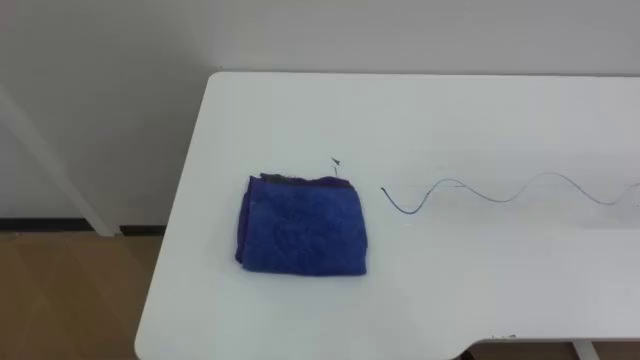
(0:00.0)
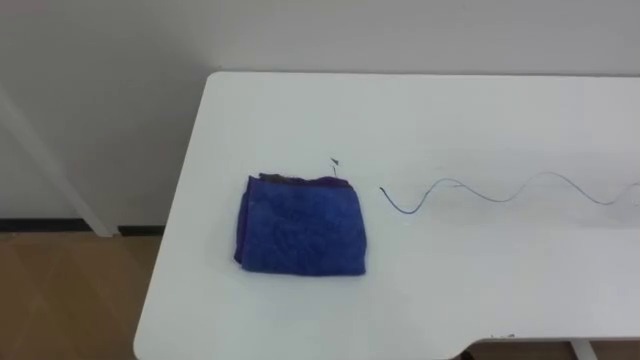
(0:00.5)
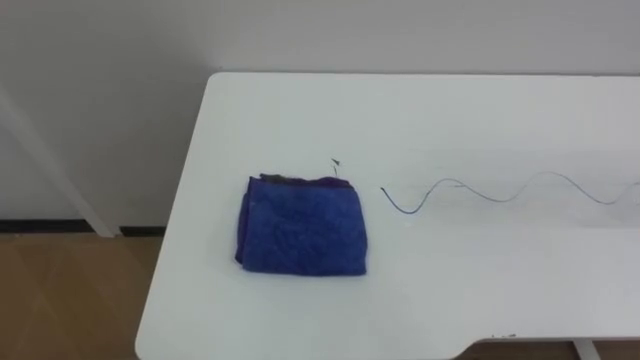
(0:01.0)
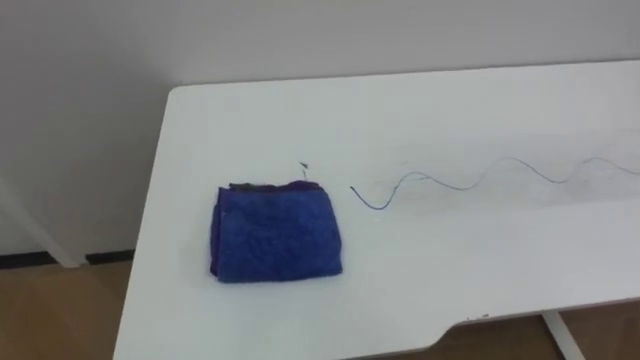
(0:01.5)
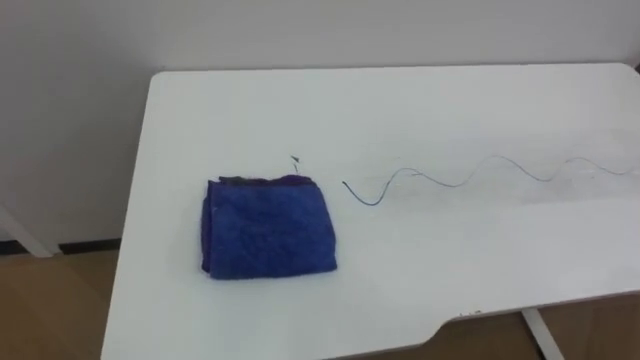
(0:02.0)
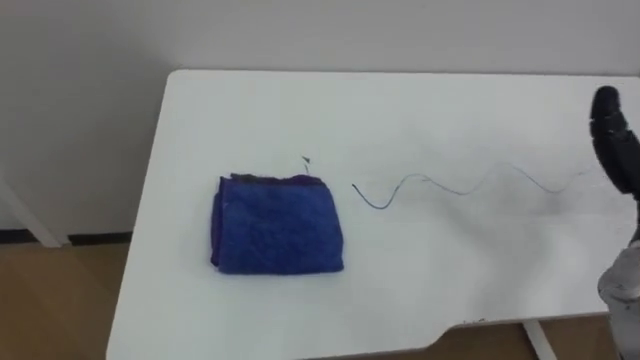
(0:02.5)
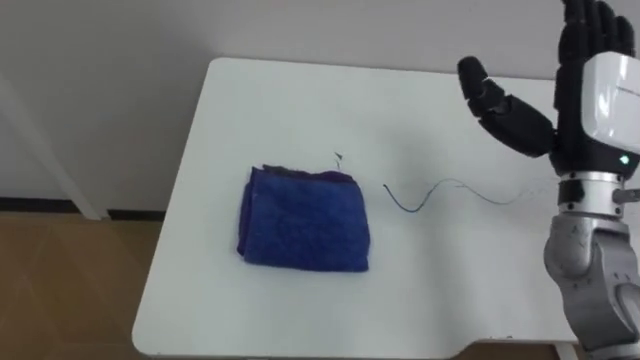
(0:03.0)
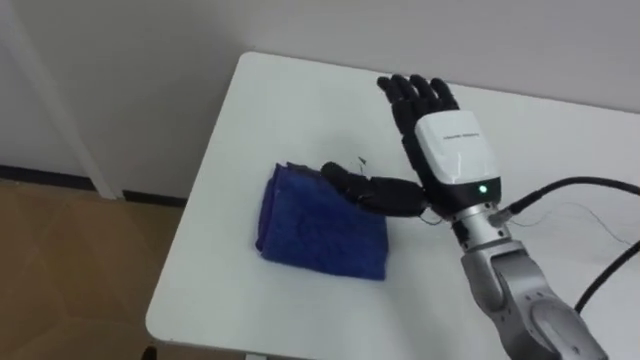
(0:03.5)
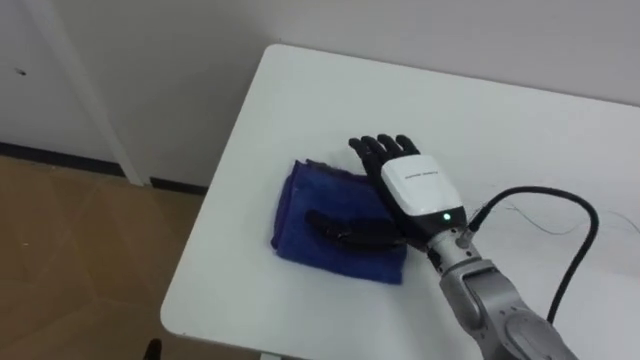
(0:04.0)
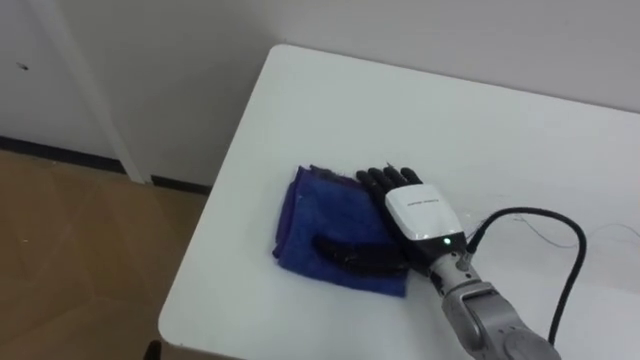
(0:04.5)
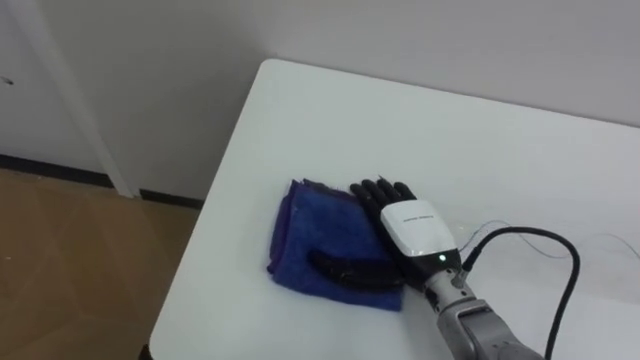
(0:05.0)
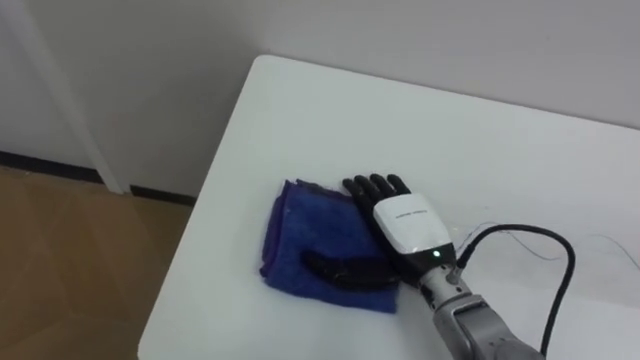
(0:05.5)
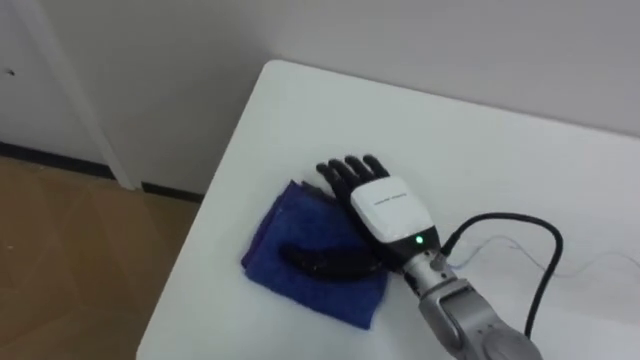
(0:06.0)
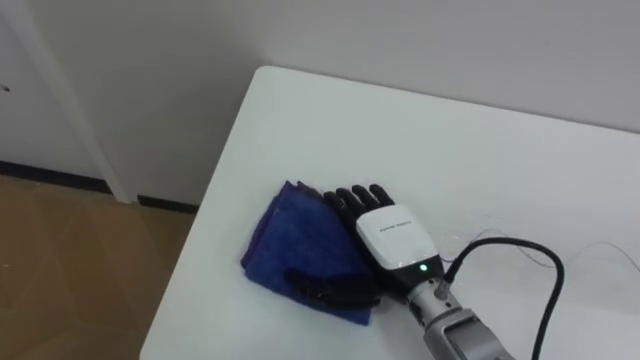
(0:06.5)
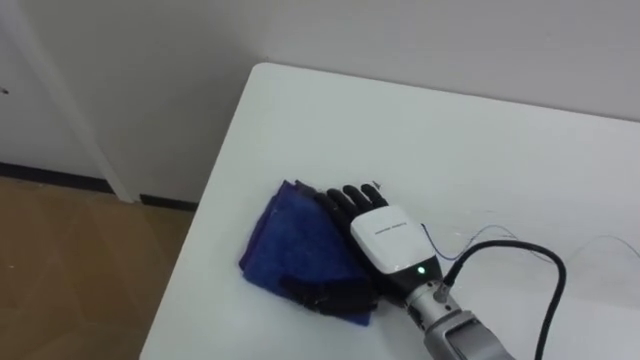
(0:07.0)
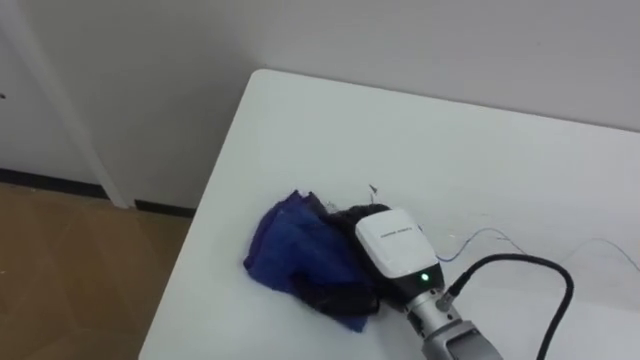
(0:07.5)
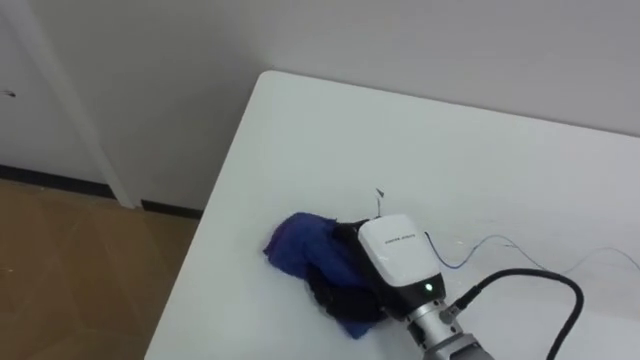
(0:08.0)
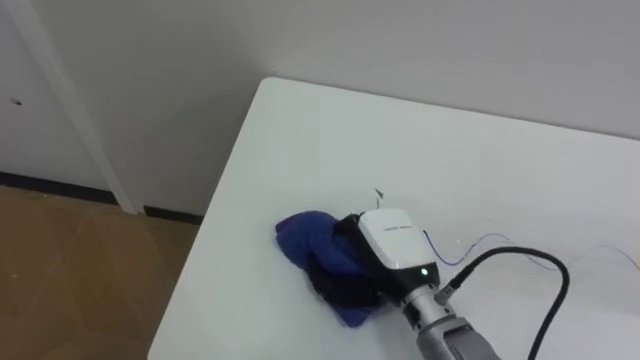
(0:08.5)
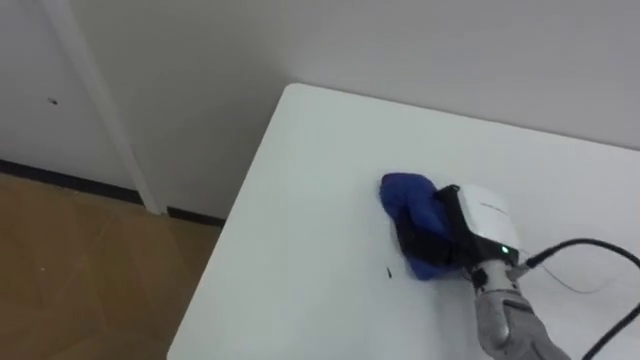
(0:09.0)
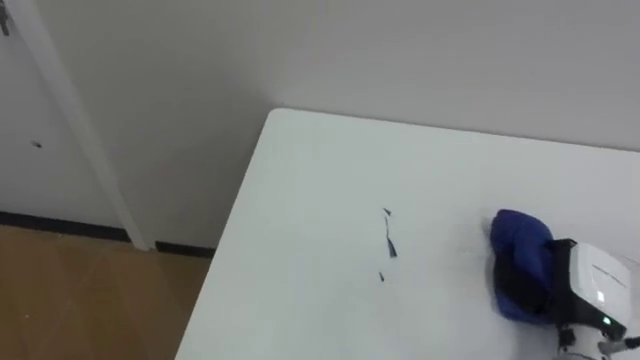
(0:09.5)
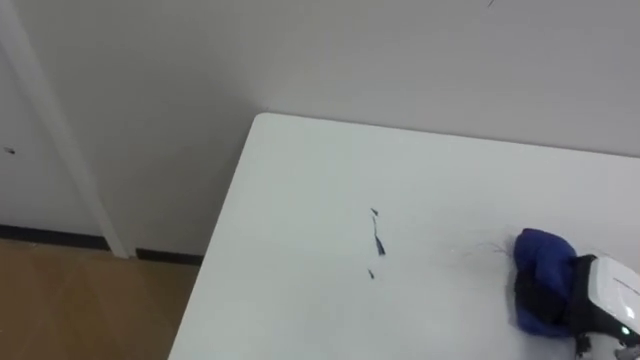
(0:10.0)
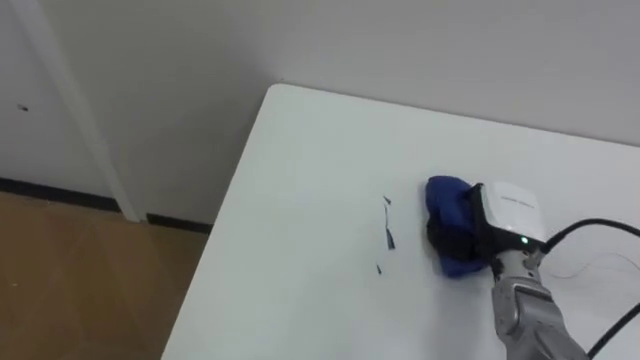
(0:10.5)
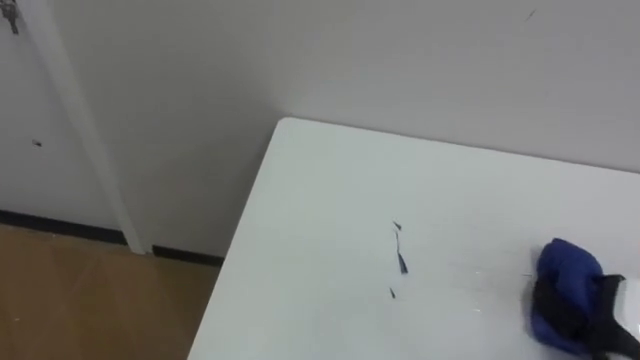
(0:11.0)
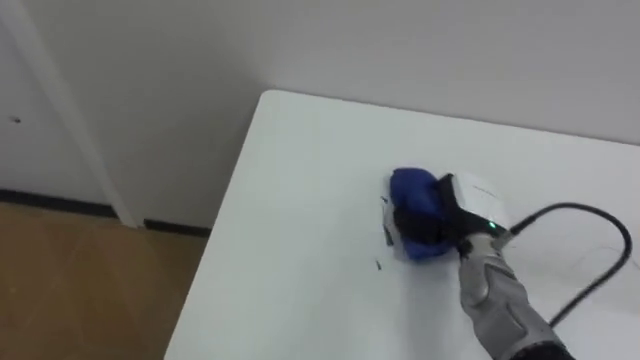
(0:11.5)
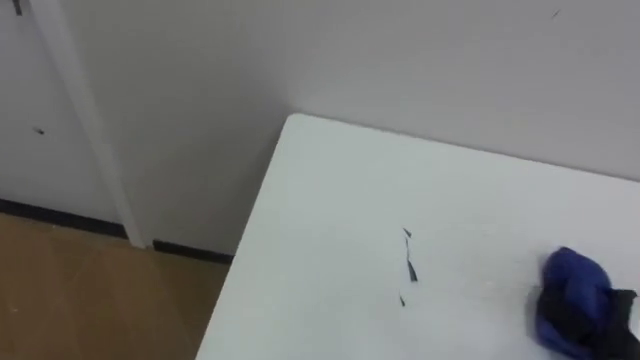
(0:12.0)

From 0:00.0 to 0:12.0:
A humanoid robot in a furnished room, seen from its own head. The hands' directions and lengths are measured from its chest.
Task of the whole recording: Wipe the blue pen marks off the table with the rag.
From 0:06.0 to 0:08.0: The right hand closes.
From 0:08.0 to 0:10.0: The right hand is displaced to the right by about 25 cm.
From 0:10.0 to 0:12.0: The right hand goes left and right, approximately 15 cm each way, reversing 3 times.

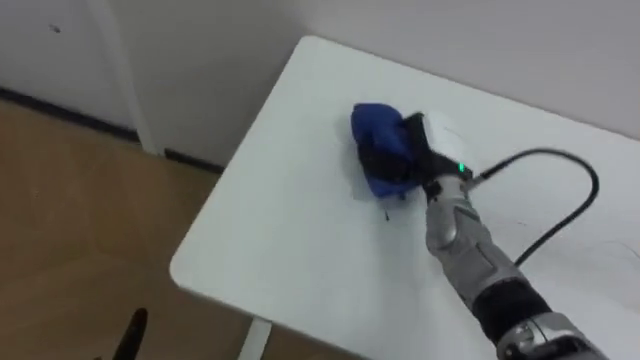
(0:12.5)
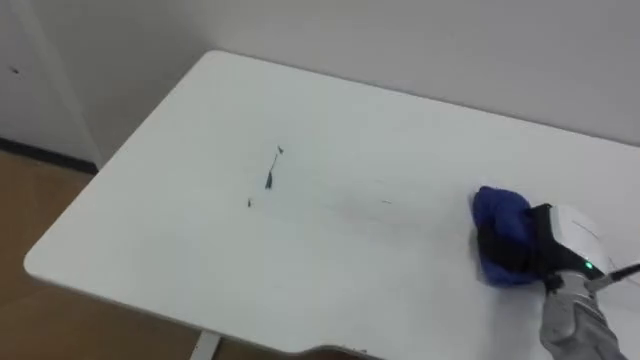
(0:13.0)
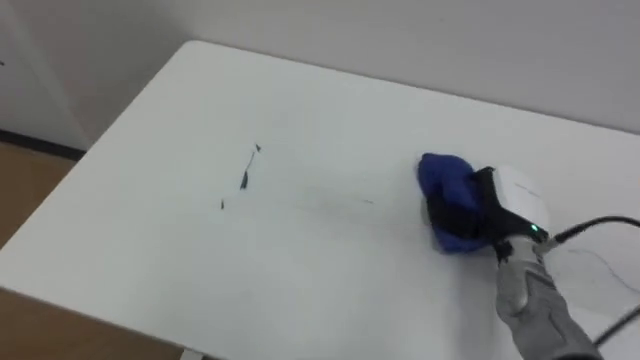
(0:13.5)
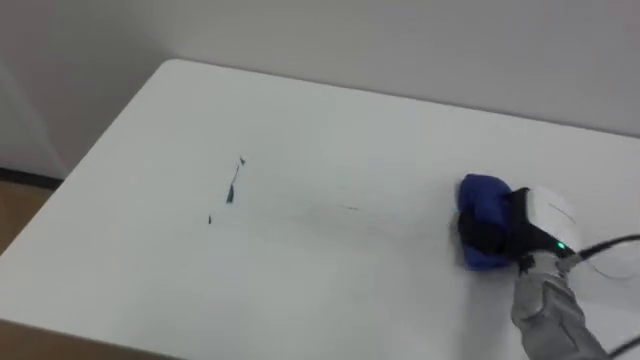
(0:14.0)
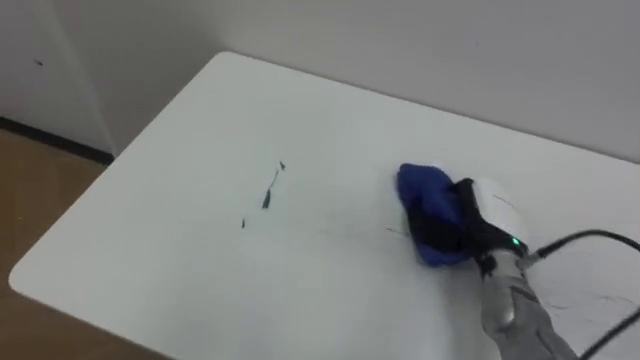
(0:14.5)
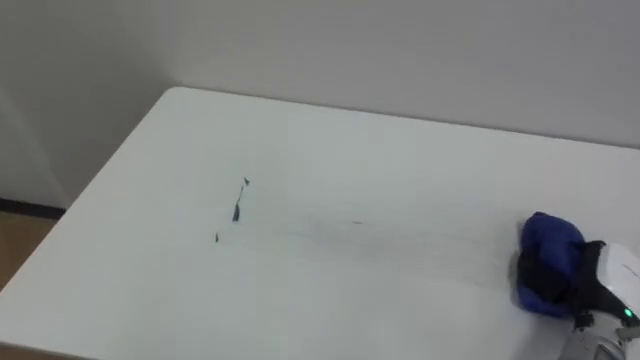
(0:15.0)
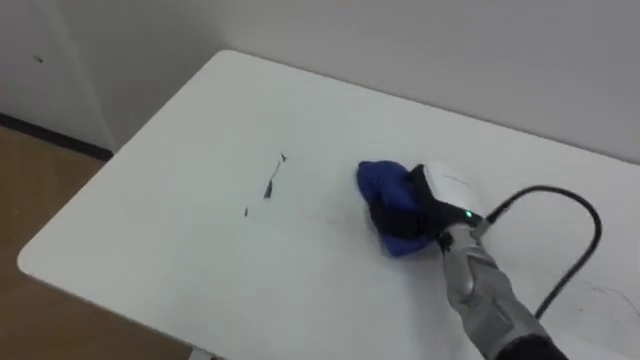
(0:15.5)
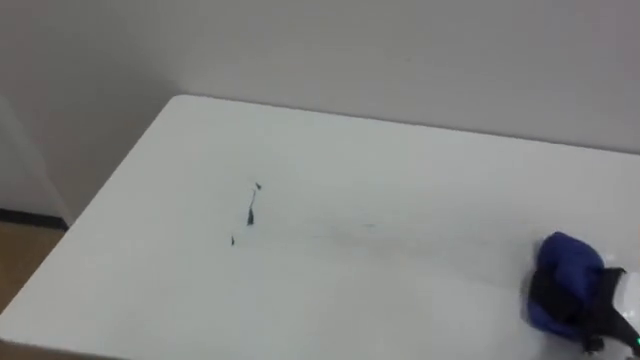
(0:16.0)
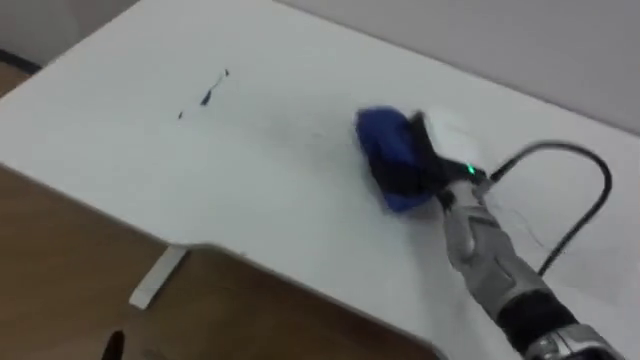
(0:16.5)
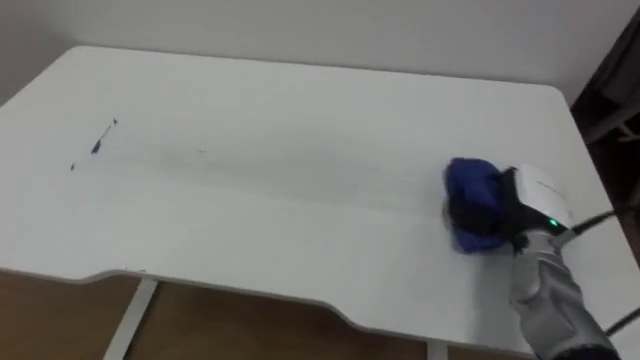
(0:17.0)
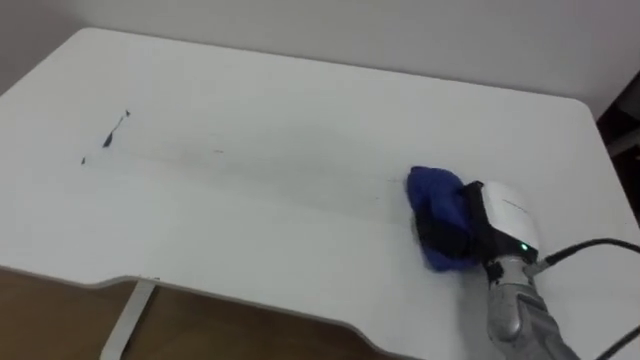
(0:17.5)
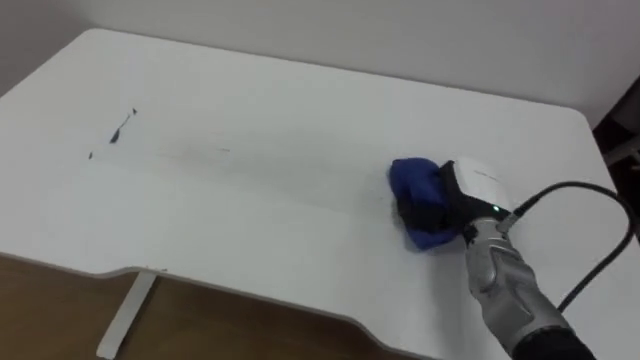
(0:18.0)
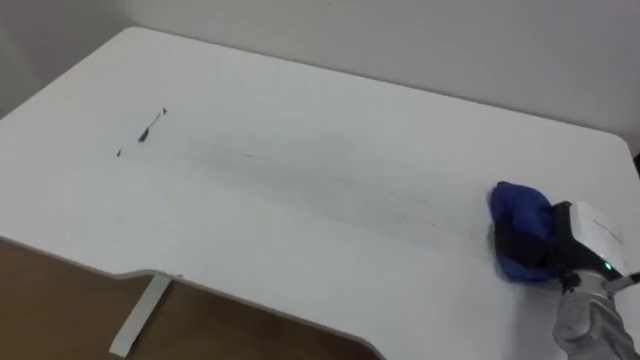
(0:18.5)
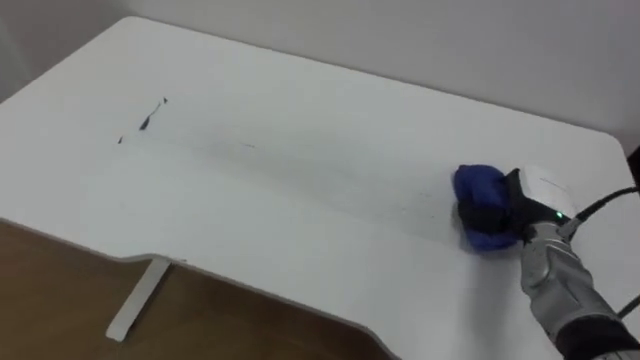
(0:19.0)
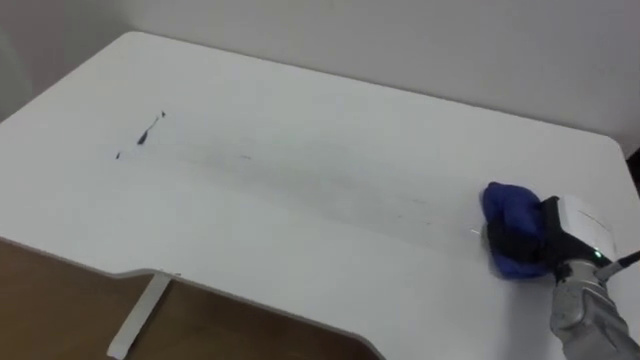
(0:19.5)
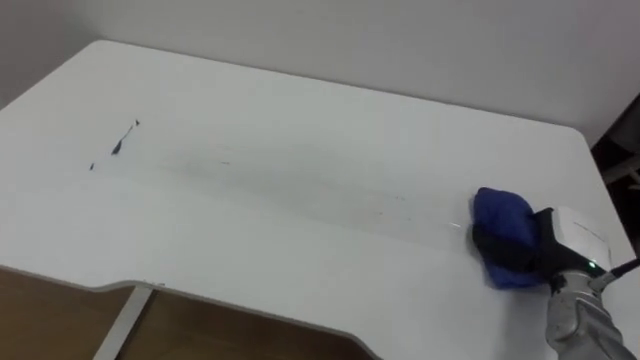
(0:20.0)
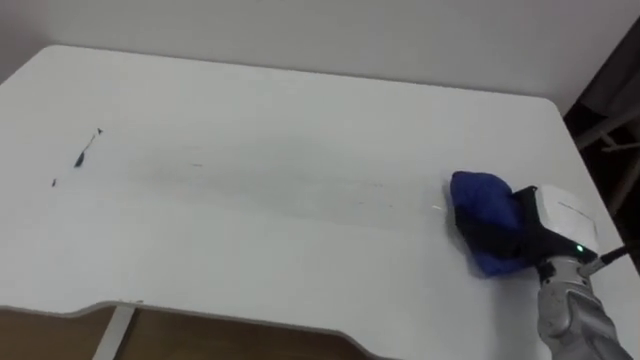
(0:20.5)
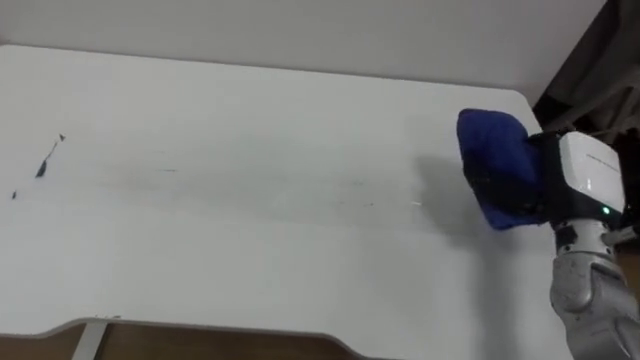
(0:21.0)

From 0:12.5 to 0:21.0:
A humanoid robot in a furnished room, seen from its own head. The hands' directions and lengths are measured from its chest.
Task of the whole recording: Wipe the blue pen marks off the table with the rag.
From 0:12.5 to 0:14.5: The right hand swings left and right, roughly 15 cm each way, with 3 reversals.
From 0:14.5 to 0:16.5: The right hand swings left and right, some 20 cm each way, with 3 reversals.
From 0:16.5 to 0:19.0: The right hand swings left and right, some 20 cm each way, with 3 reversals.
From 0:19.0 to 0:21.0: The right hand goes about 10 cm upward.
